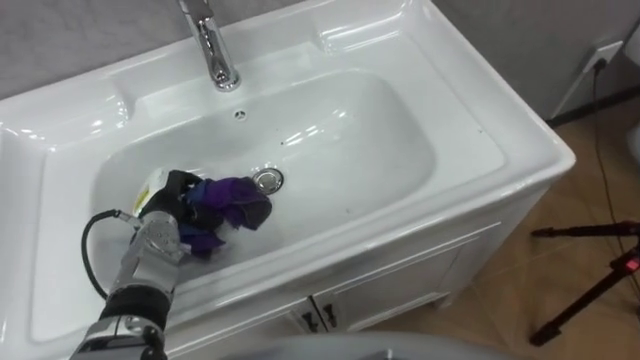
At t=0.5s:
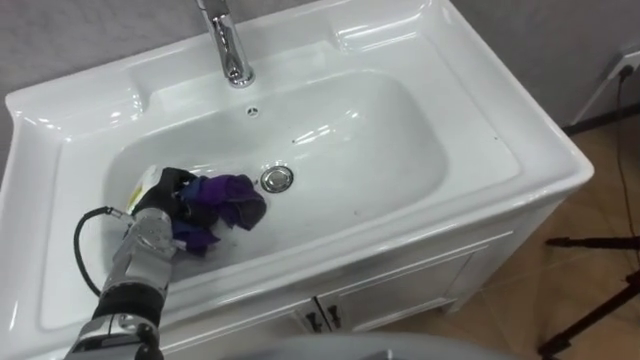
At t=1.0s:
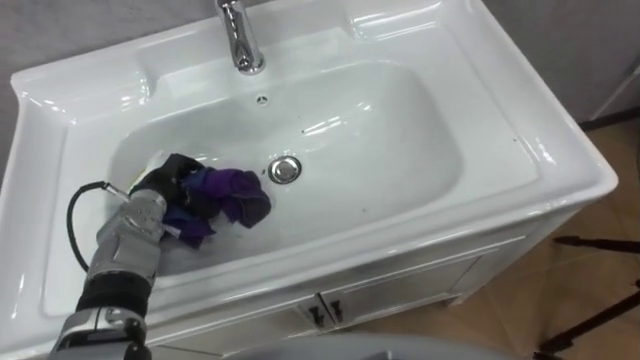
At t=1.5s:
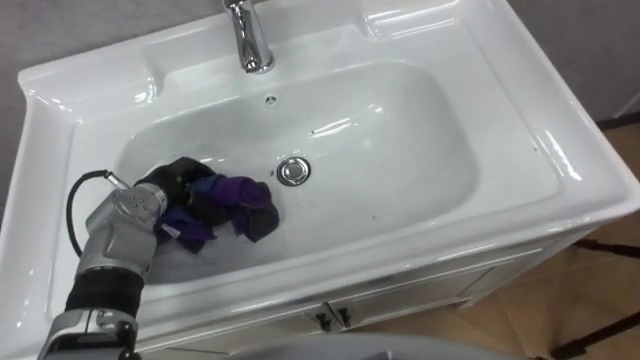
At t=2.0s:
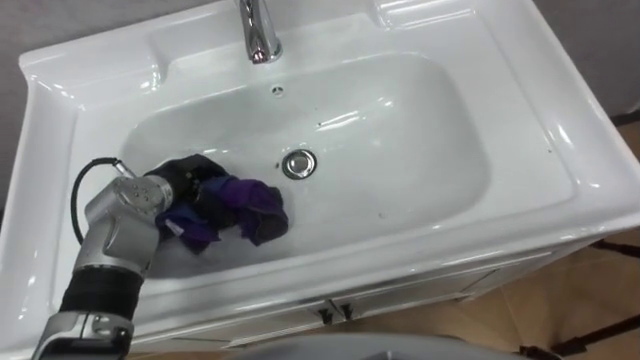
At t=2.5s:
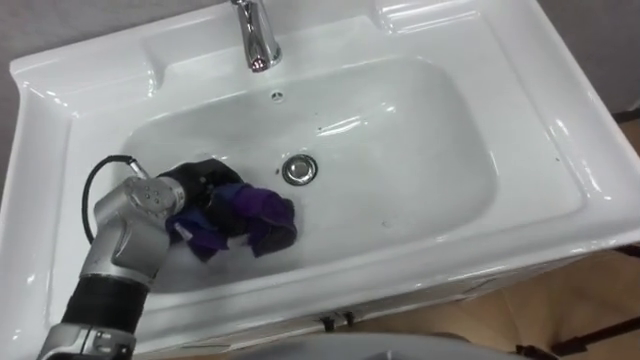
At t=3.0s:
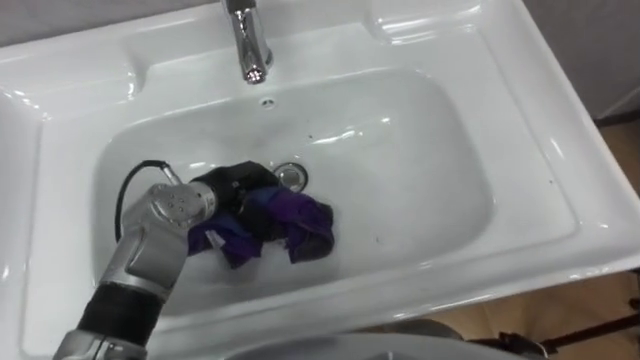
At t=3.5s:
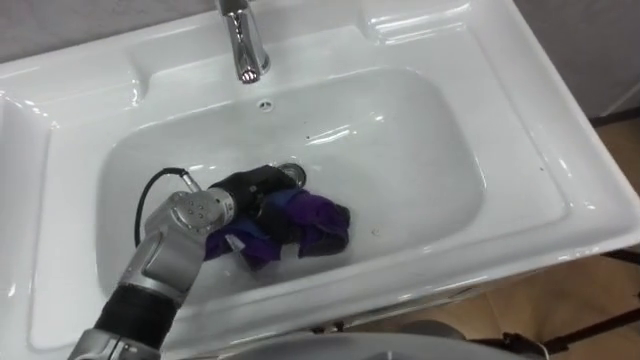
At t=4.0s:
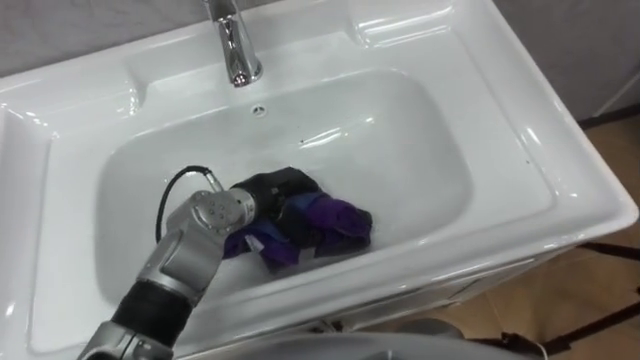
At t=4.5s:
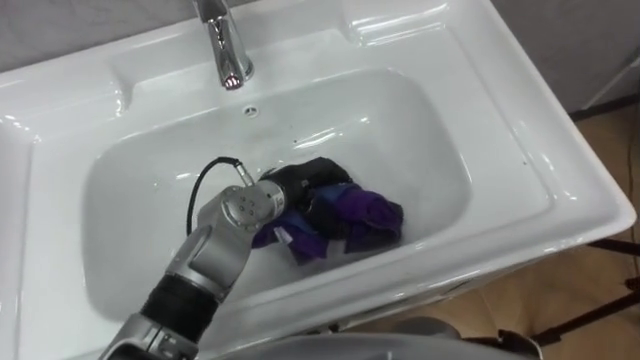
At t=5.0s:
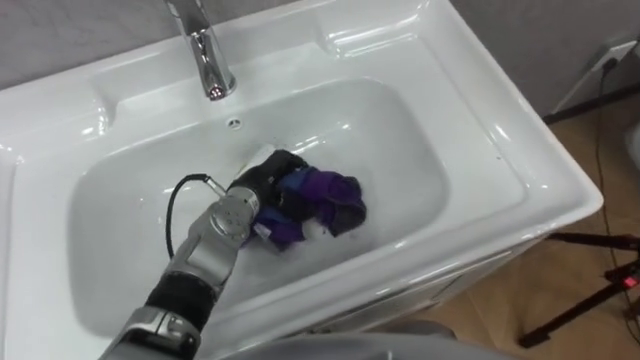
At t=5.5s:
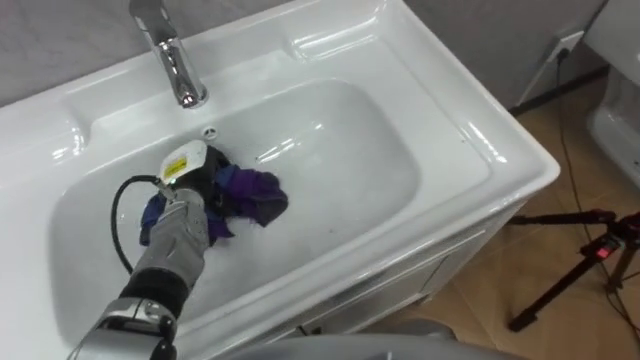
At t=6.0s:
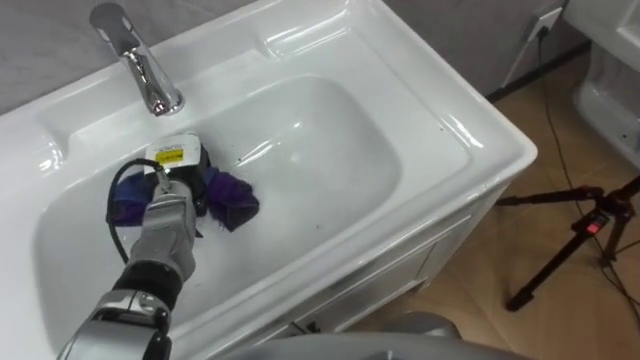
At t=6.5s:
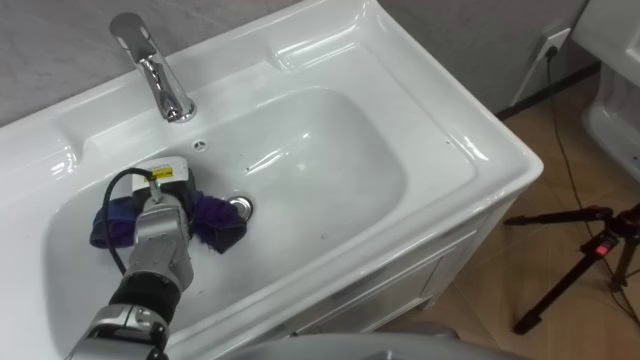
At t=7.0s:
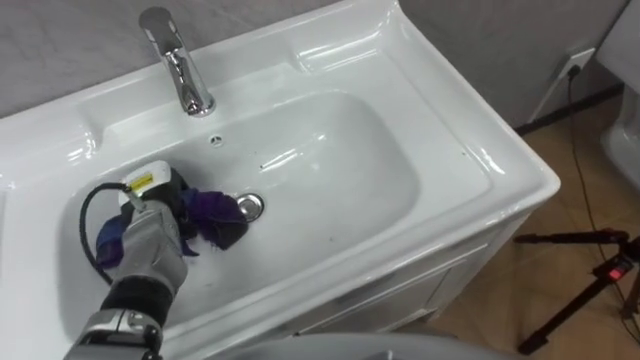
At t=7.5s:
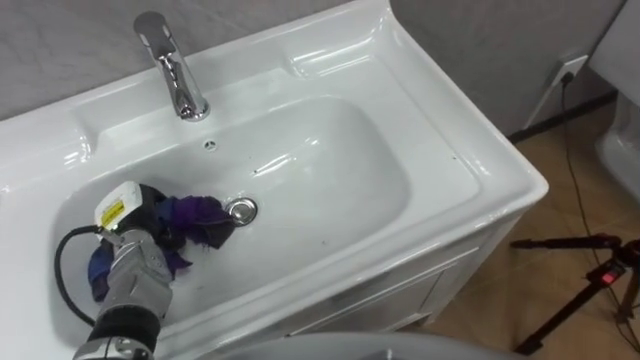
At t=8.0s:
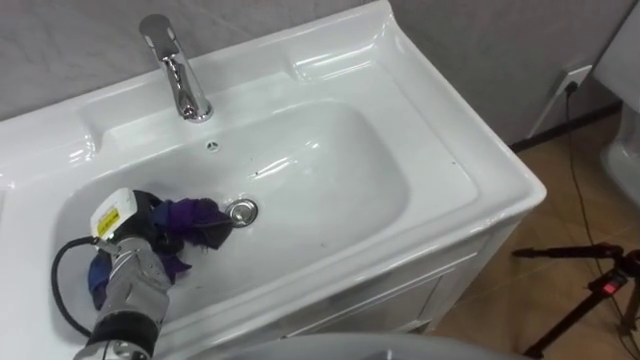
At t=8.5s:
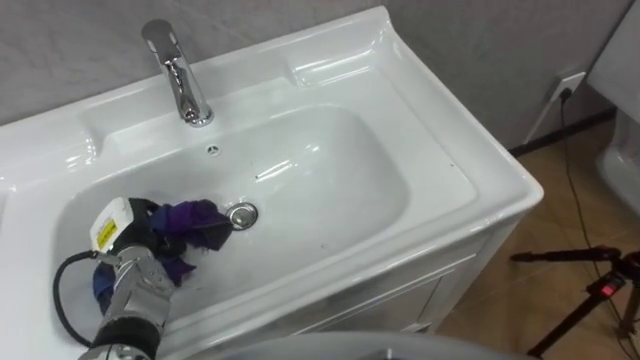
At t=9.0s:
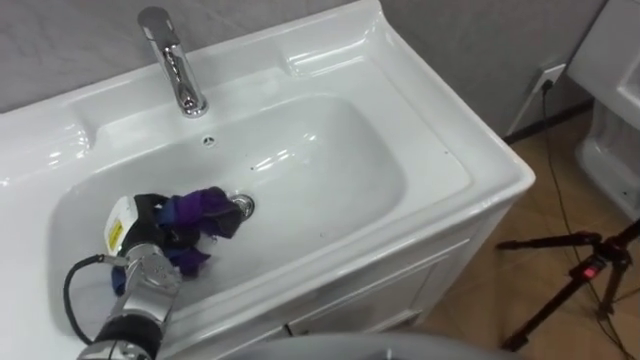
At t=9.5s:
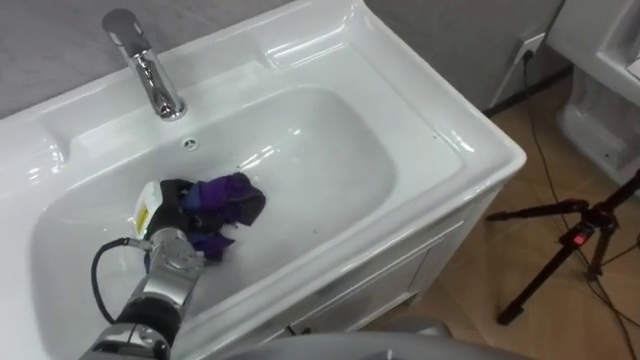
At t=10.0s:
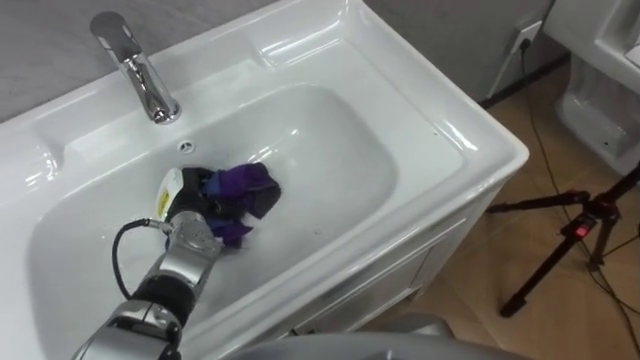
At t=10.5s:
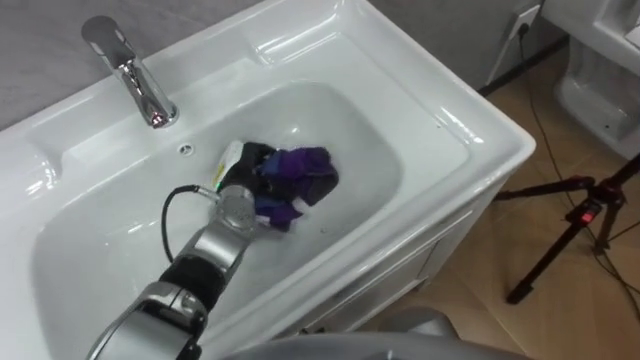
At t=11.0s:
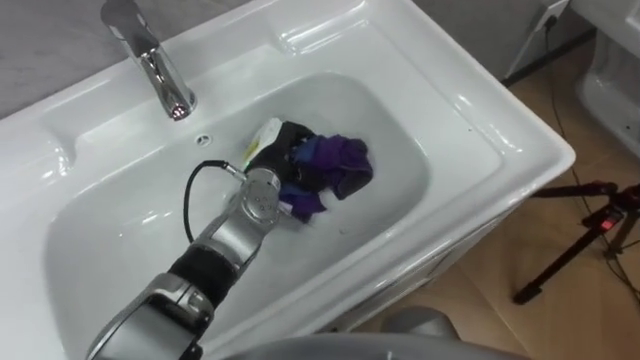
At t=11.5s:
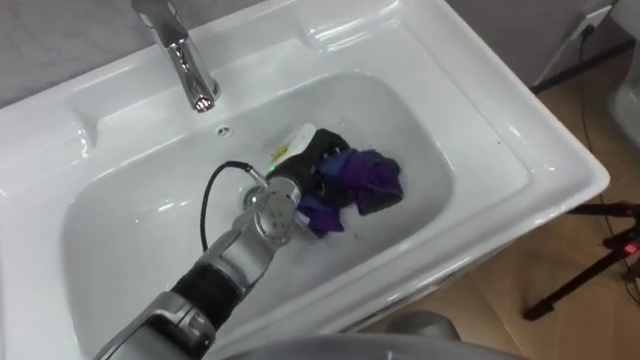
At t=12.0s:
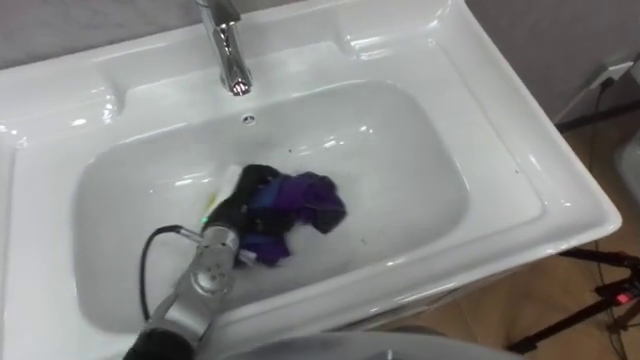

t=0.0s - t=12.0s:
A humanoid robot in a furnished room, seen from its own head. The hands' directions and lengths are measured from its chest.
Task of the whole recording: Use the cloth on the right to wipe away the black stain in the sink.
t=0.0s - t=2.0s: The left hand moves upward, some 5 cm.
t=2.0s - t=4.0s: The left hand goes about 15 cm to the right.
t=4.0s - t=6.0s: The left hand moves to the left, about 15 cm.
t=6.0s - t=8.0s: The left hand goes some 10 cm backward and to the left.
t=8.0s - t=10.0s: The left hand travels to the right by approximately 10 cm.
t=10.0s - t=12.0s: The left hand is displaced to the right by roughly 10 cm.

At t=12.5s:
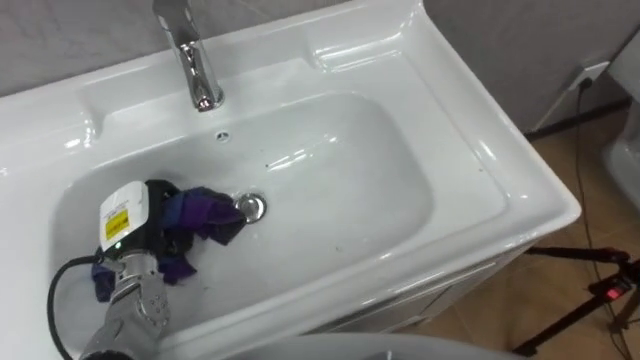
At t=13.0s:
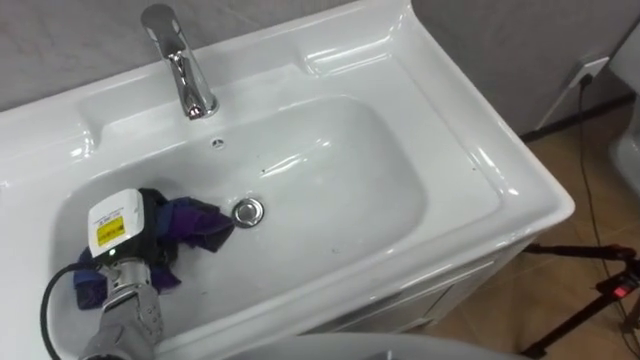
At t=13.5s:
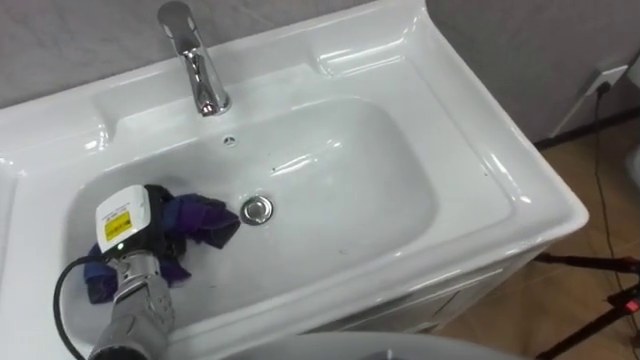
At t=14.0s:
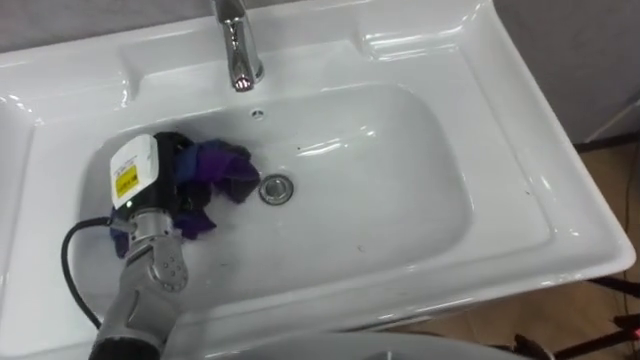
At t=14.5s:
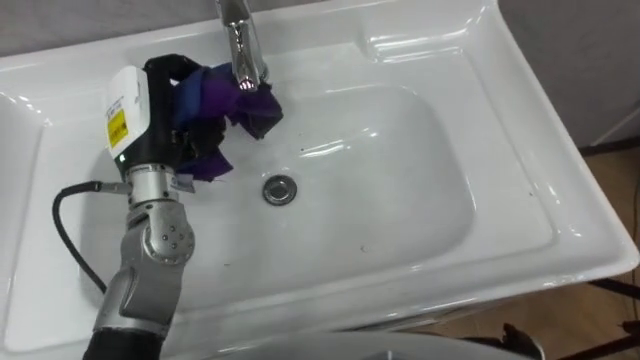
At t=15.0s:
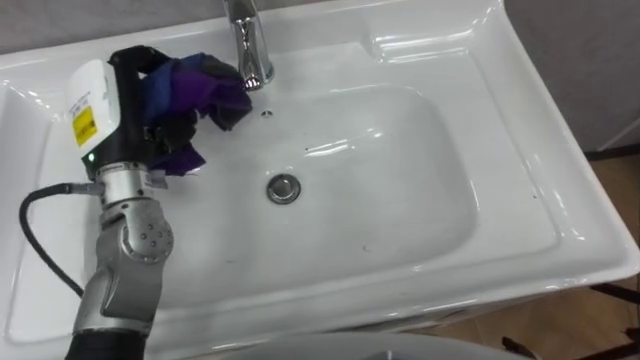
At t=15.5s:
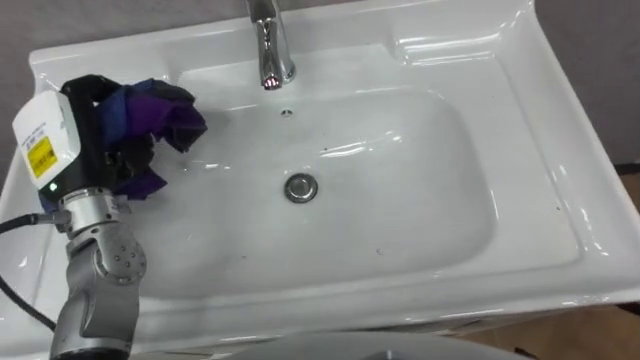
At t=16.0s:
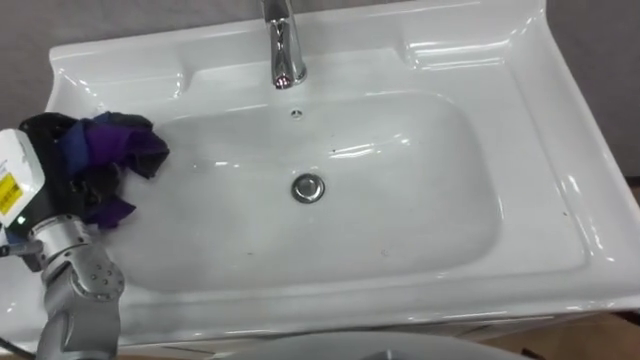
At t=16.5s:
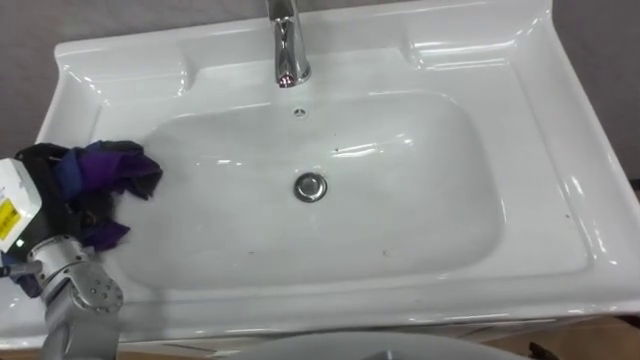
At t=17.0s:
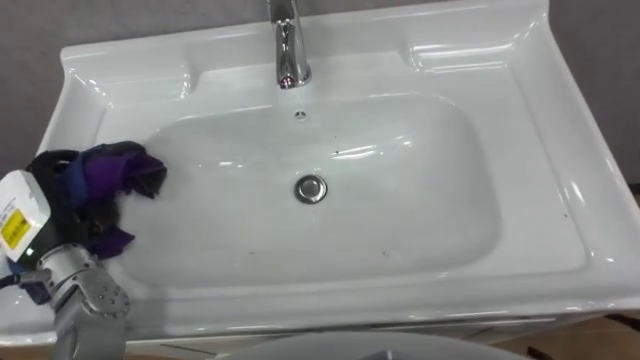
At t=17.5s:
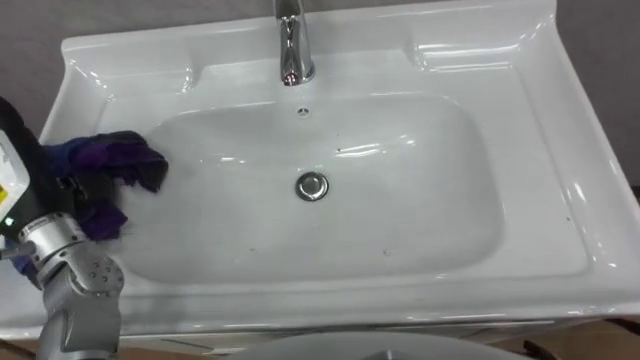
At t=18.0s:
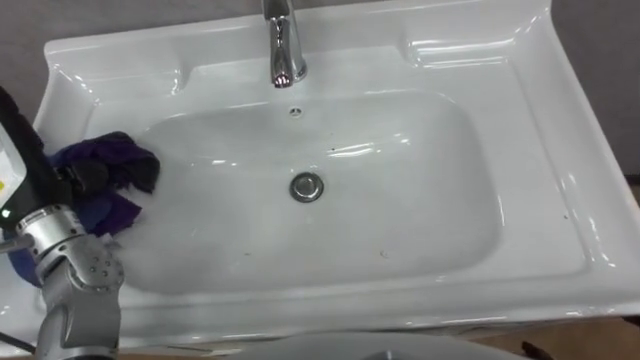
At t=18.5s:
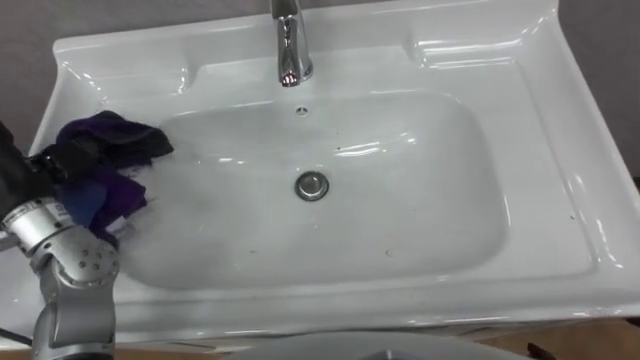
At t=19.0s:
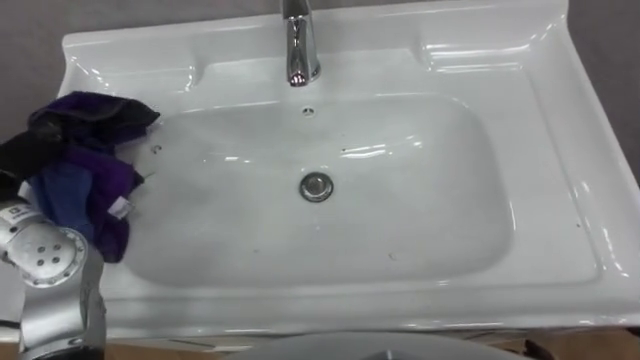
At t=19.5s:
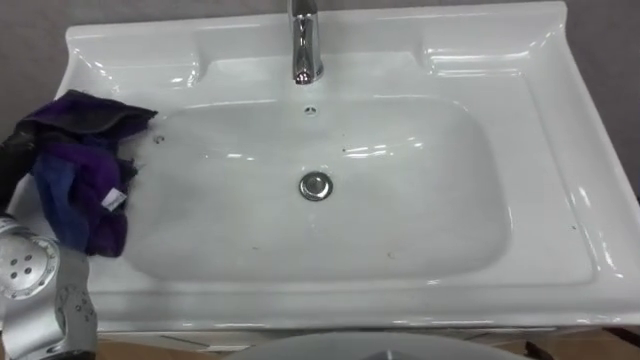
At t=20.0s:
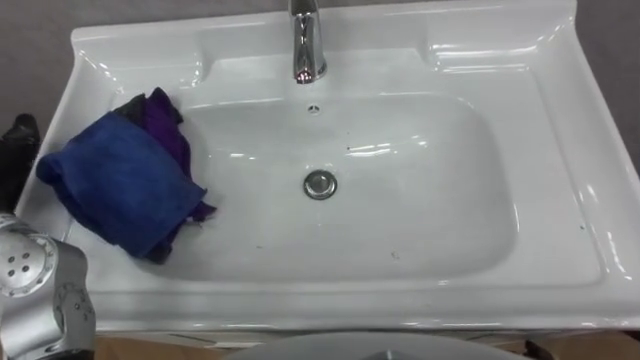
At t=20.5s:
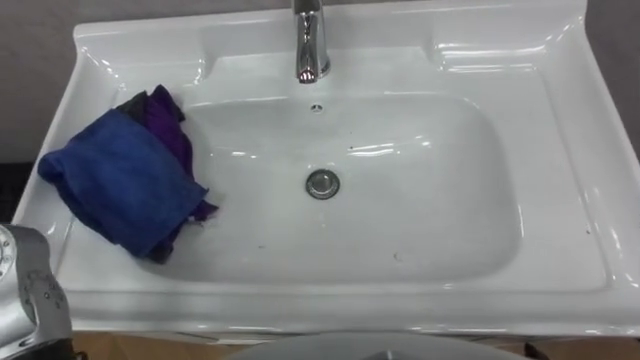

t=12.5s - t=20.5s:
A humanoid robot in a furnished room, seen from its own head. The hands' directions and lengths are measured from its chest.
Task of the whole recording: Use the cloth on the right to wipe away the black stain in the sink.
t=12.5s - t=14.5s: The left hand moves upward and forward, approximately 15 cm.
t=14.5s - t=16.5s: The left hand travels to the left, backward and downward by approximately 15 cm.
